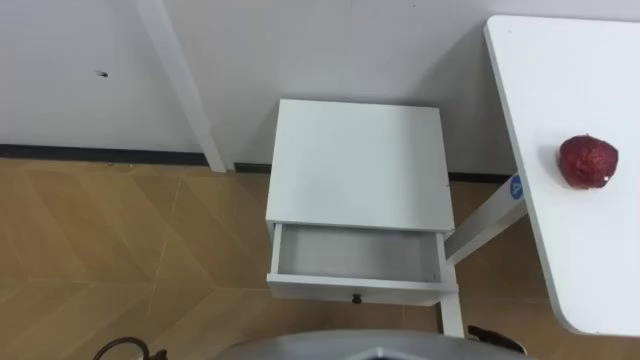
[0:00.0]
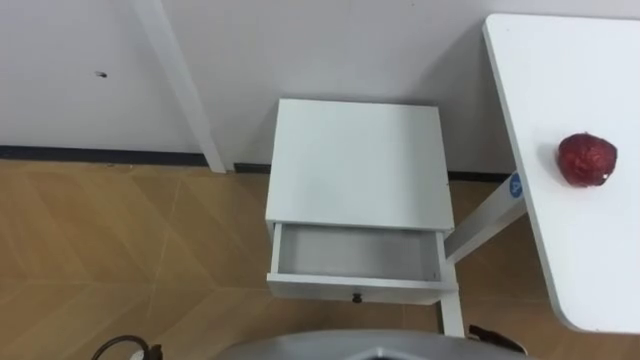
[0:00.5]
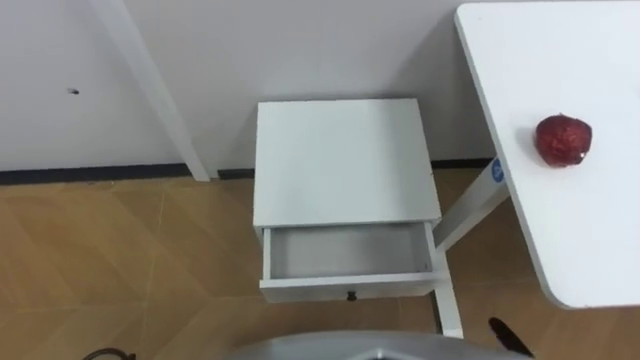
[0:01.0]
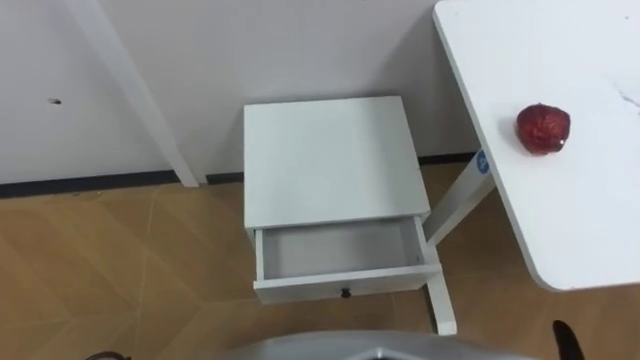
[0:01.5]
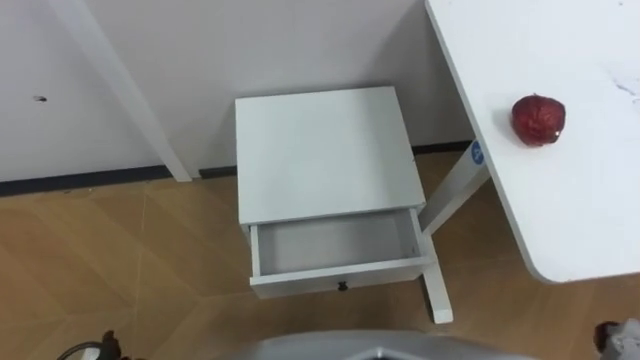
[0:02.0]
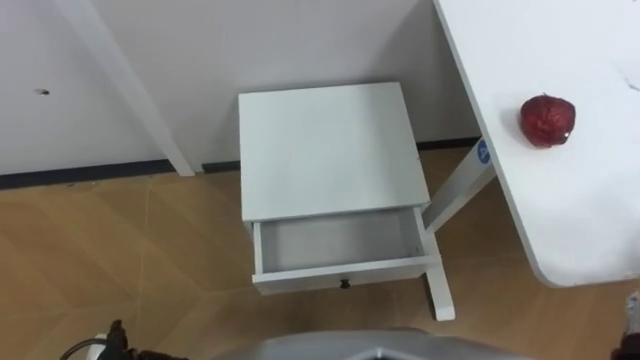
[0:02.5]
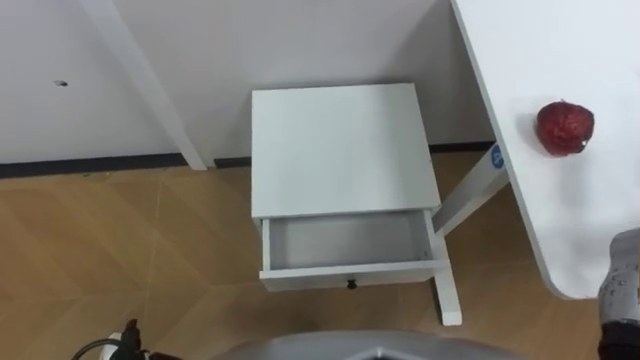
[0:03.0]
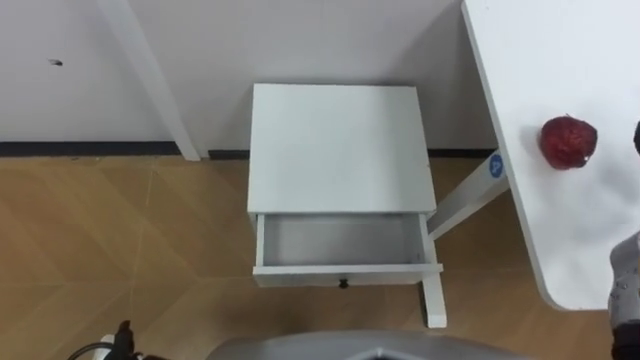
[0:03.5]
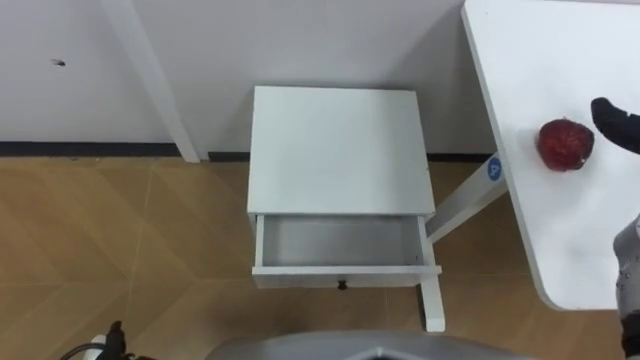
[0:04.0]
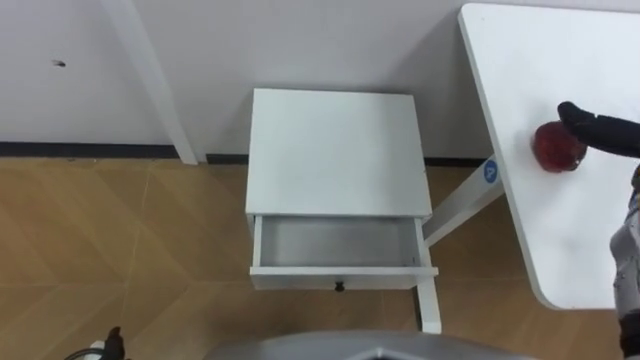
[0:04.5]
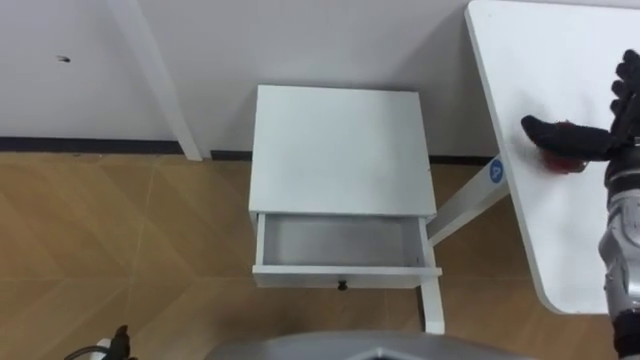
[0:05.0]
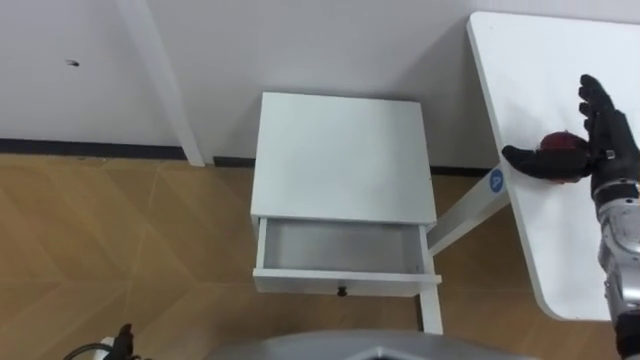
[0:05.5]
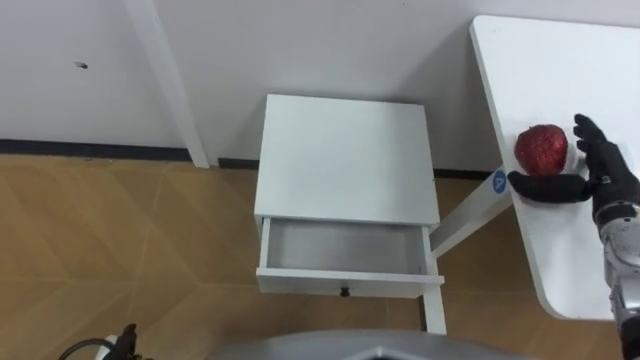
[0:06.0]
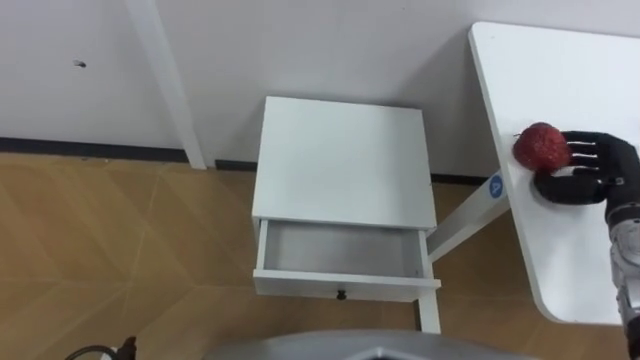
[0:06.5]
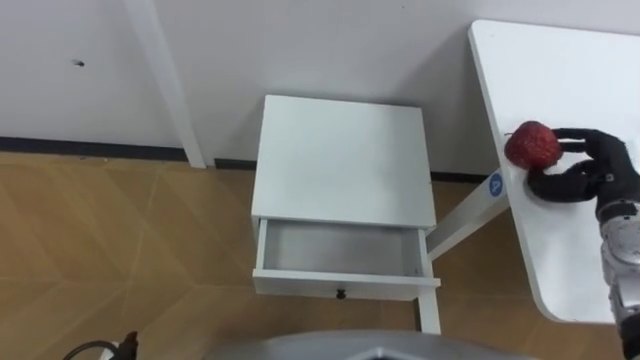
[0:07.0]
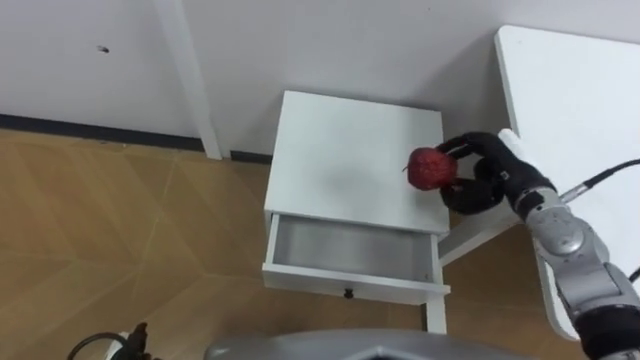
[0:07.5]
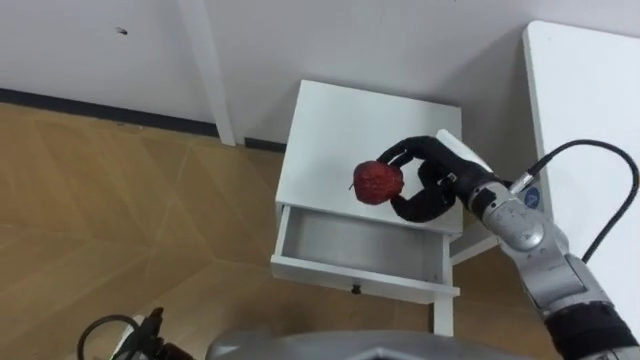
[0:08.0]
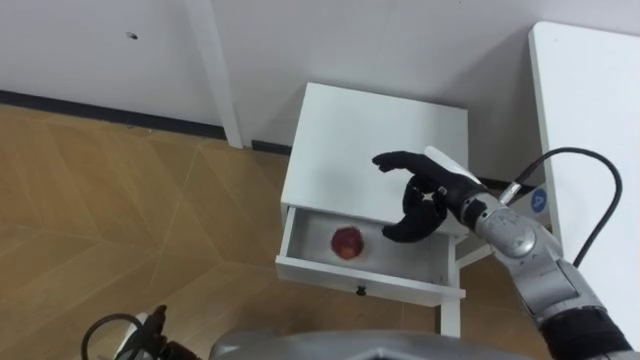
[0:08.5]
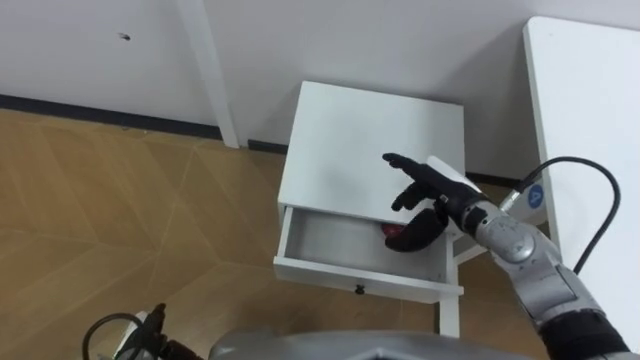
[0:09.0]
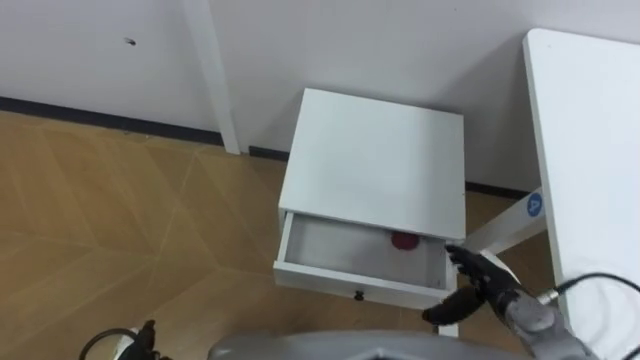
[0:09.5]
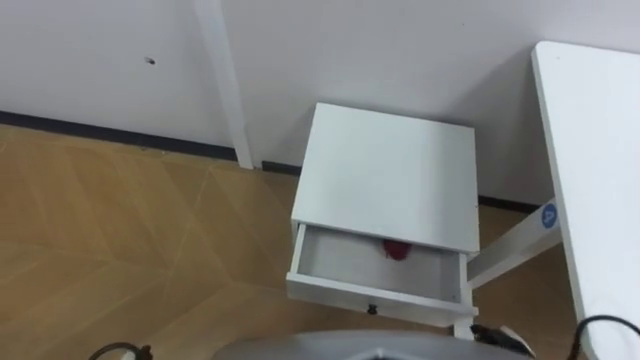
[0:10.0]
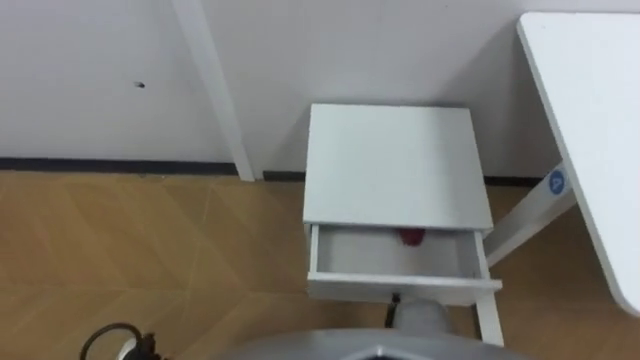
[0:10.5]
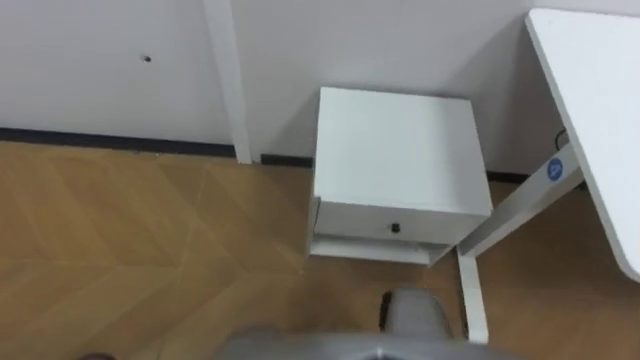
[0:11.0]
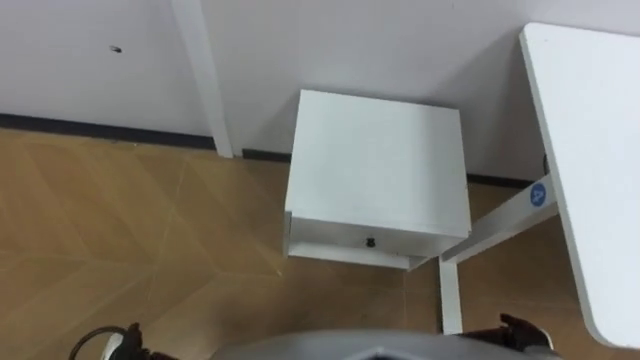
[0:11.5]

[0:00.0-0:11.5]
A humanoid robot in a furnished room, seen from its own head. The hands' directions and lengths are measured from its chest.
Task of the whole recording: Pick up the apple from the table, put it in the drawer, and close the drawer with leg.
0:06.0 to 0:07.5: The right hand heads to the left, covering some 10 cm, and closes up.
0:07.5 to 0:09.5: The right hand moves downward and backward, some 15 cm, and opens.

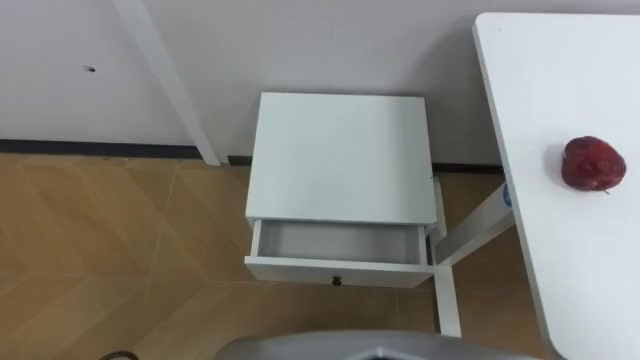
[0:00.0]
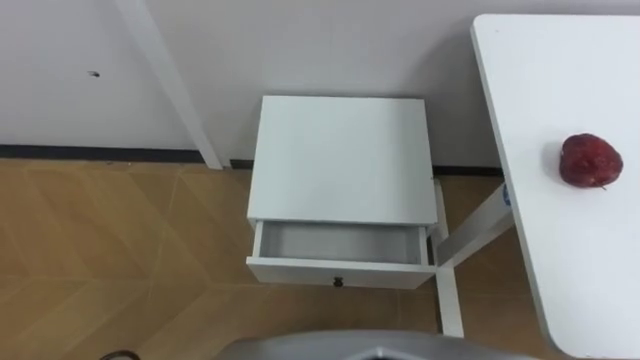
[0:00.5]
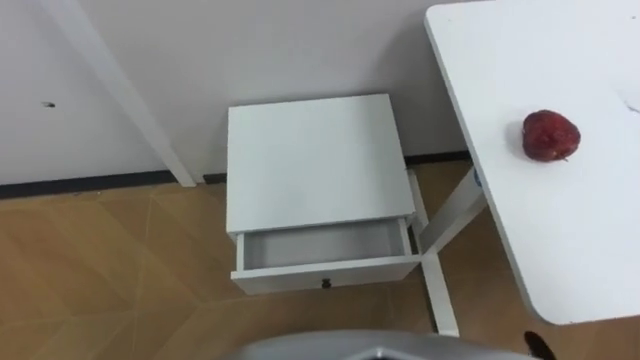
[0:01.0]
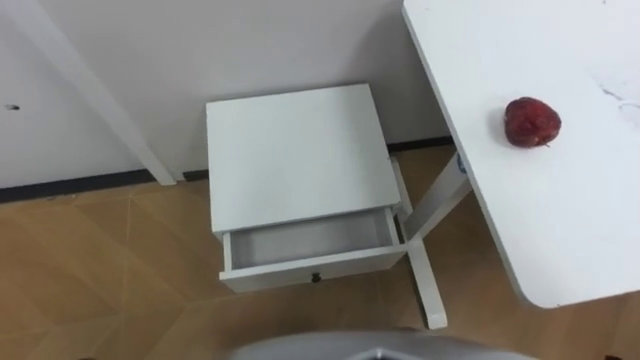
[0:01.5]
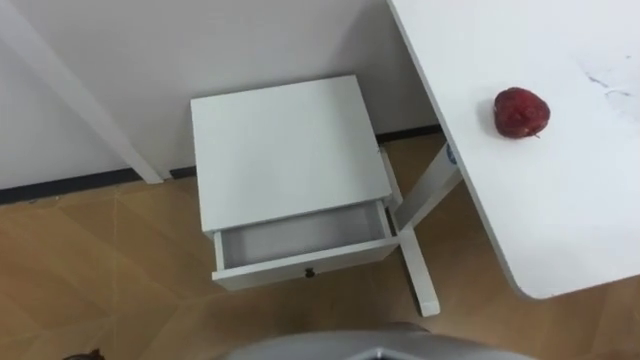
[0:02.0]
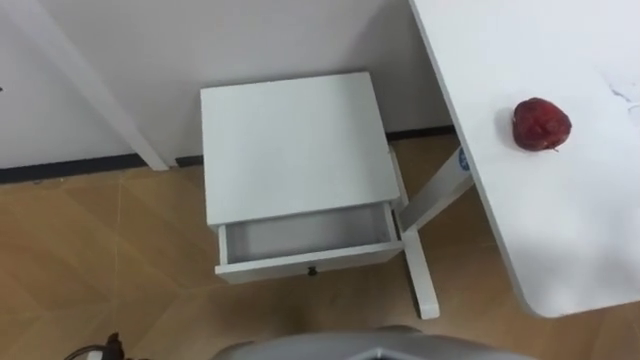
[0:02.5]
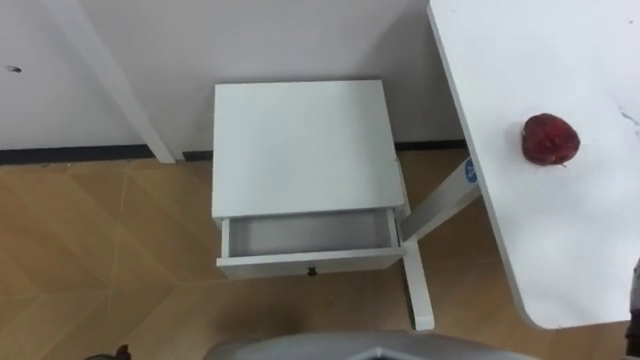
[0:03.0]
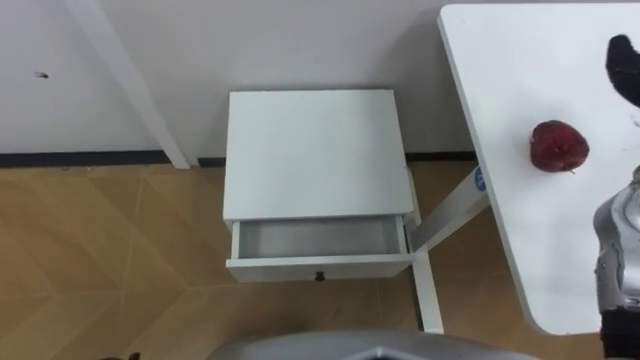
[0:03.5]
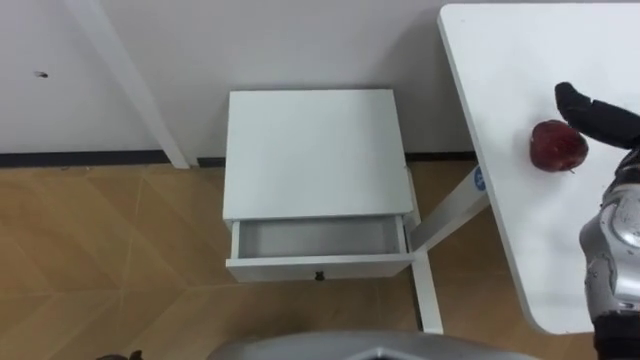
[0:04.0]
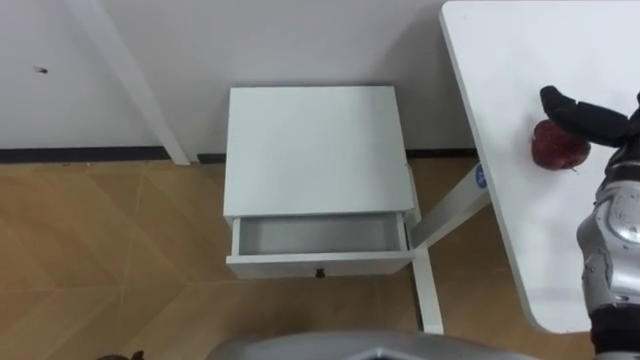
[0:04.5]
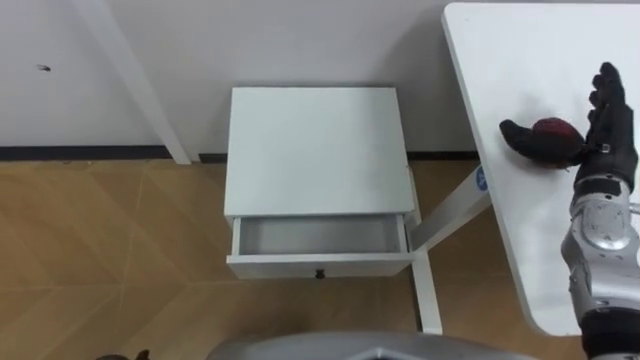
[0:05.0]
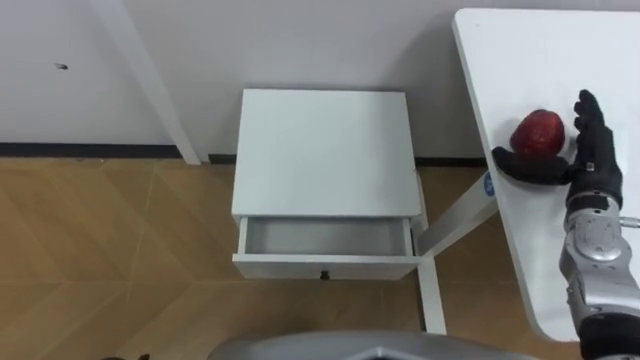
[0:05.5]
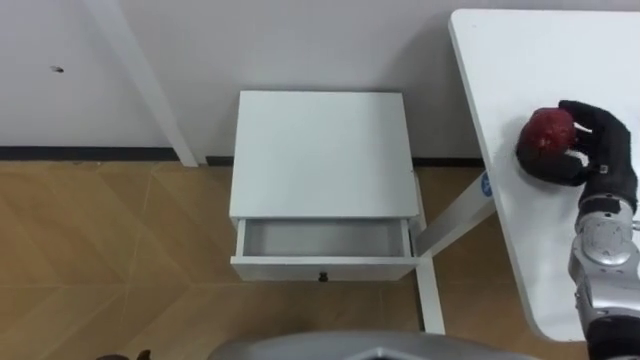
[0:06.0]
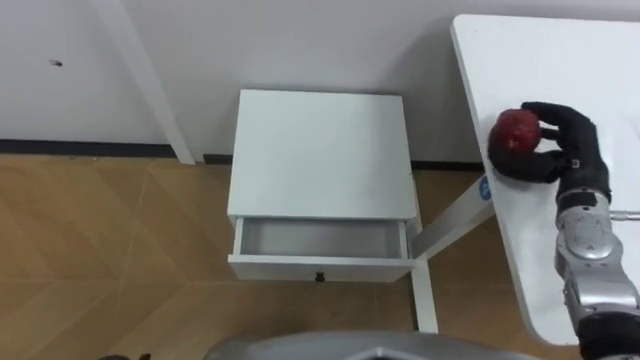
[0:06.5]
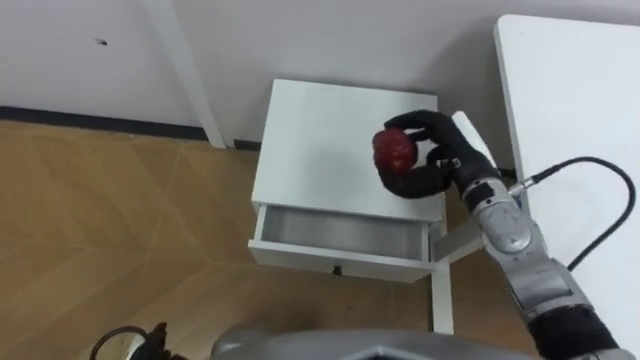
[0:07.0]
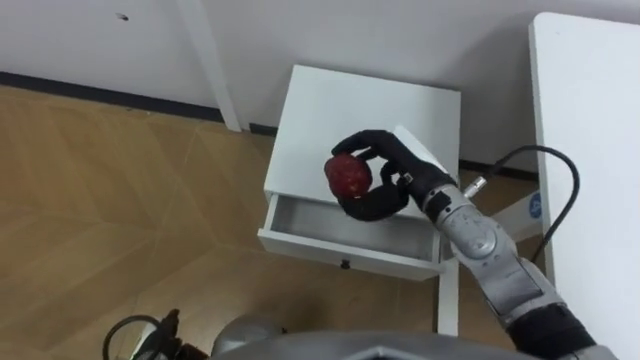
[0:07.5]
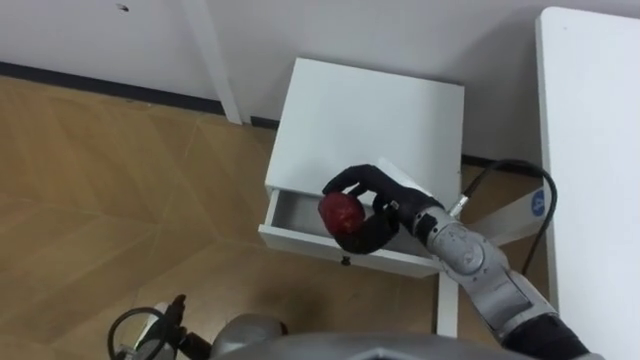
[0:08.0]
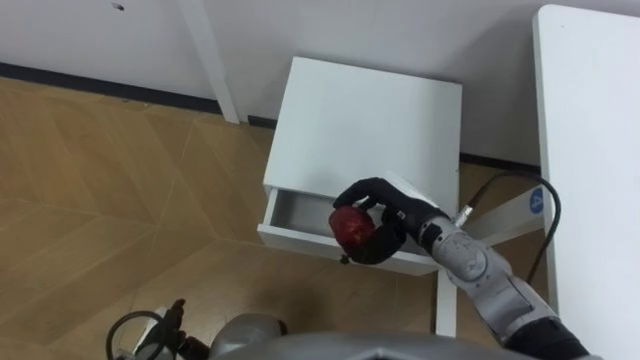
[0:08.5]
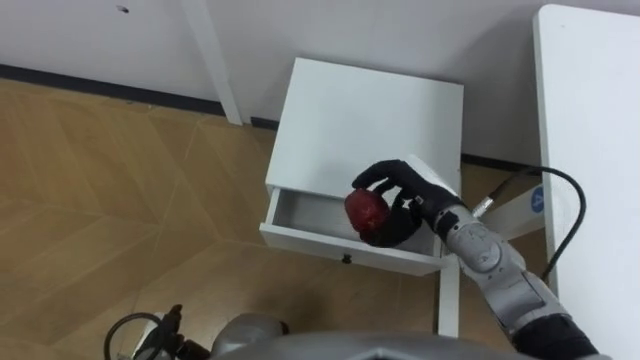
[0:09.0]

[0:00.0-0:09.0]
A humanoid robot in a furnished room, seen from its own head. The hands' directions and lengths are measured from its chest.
Task of the whole recording: Pick up the apple from the table, put it in the drawer, and close the drawer with leg.
0:07.0 to 0:09.0: The right hand shifts by approximately 5 cm.
